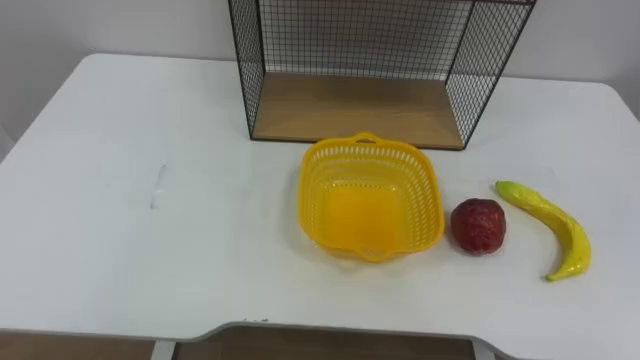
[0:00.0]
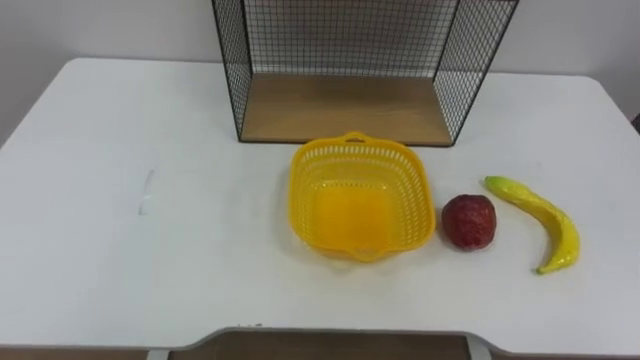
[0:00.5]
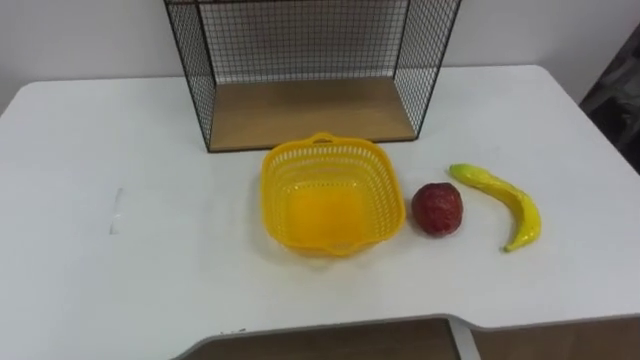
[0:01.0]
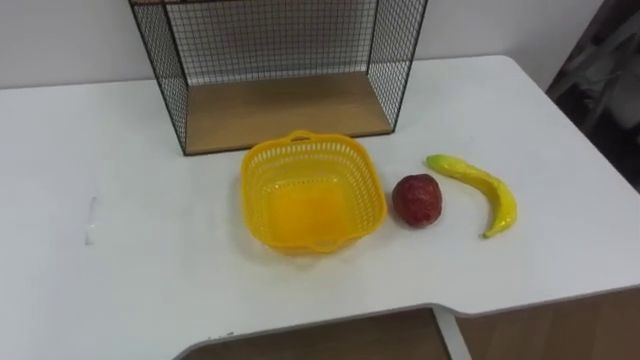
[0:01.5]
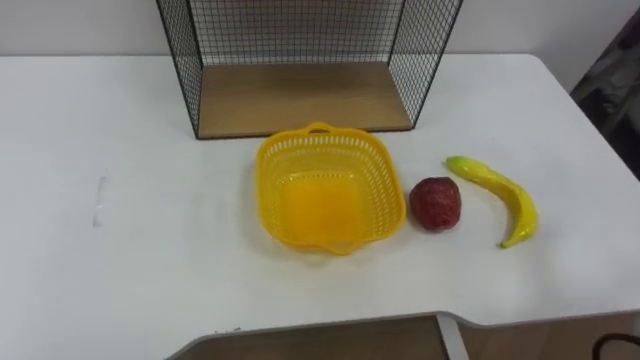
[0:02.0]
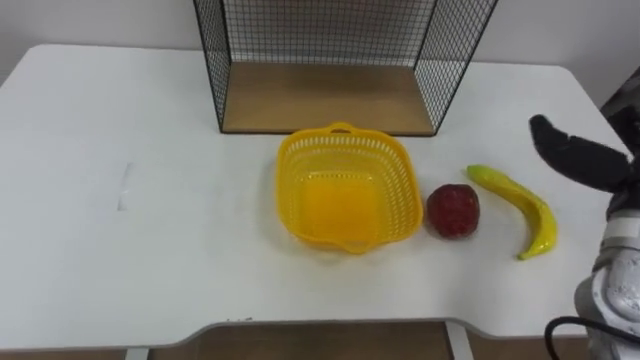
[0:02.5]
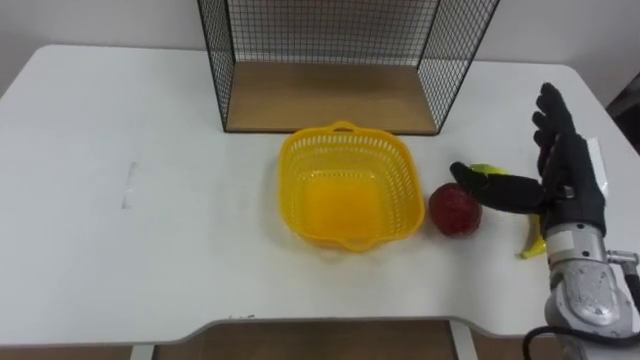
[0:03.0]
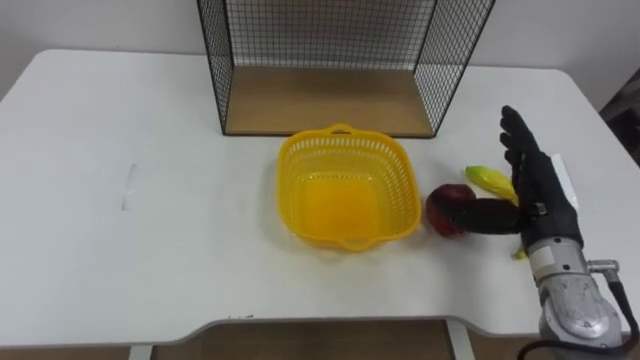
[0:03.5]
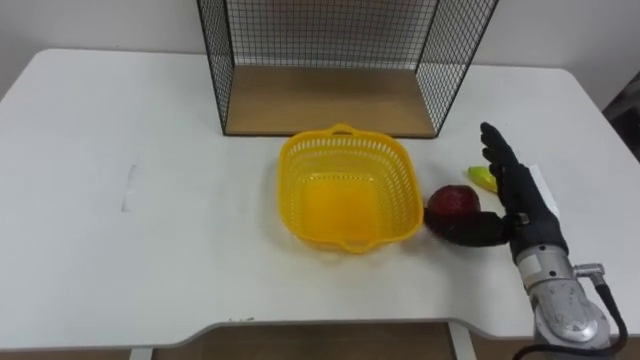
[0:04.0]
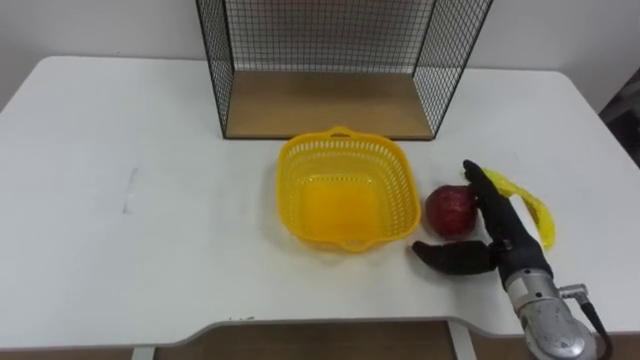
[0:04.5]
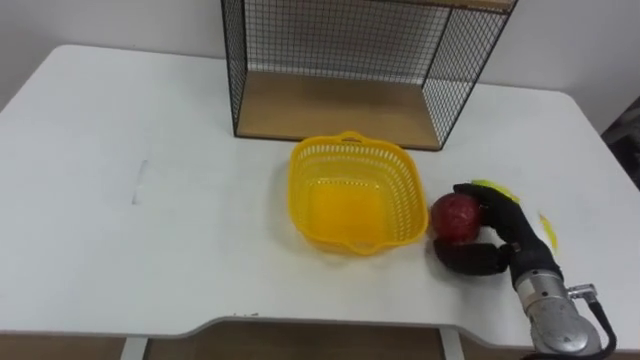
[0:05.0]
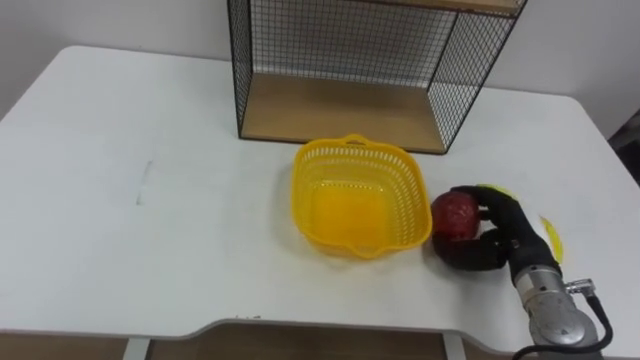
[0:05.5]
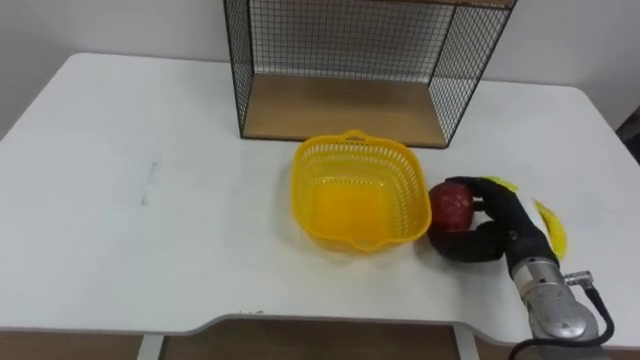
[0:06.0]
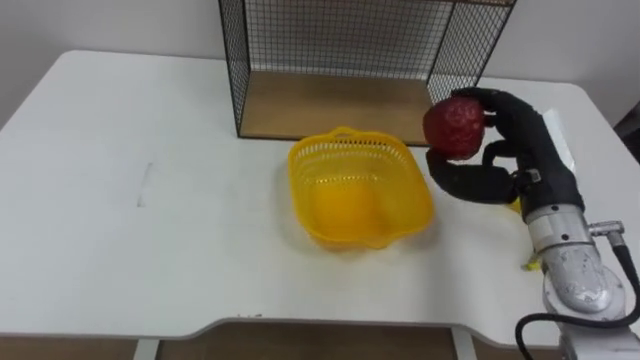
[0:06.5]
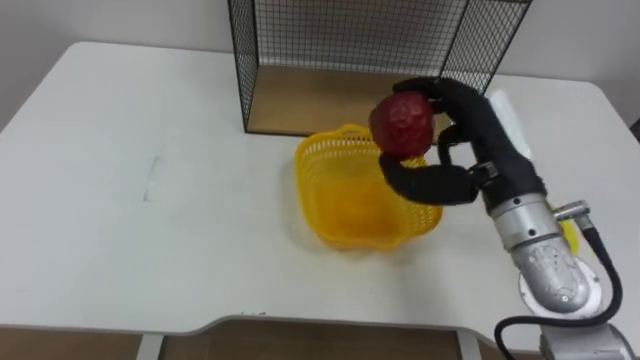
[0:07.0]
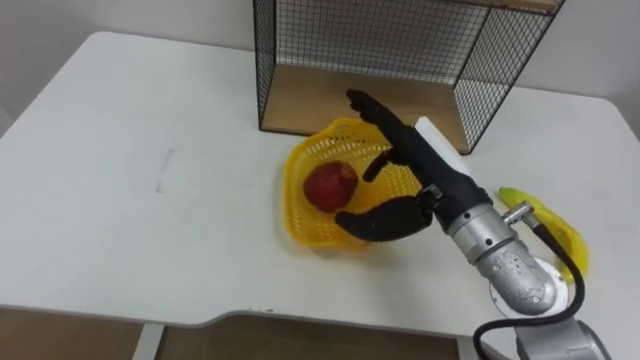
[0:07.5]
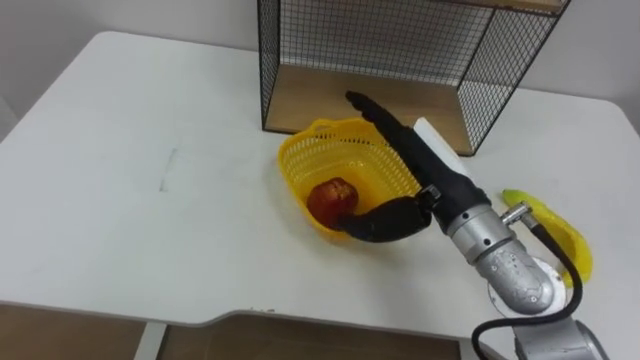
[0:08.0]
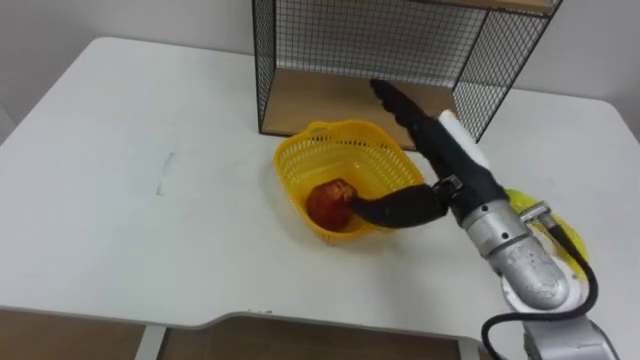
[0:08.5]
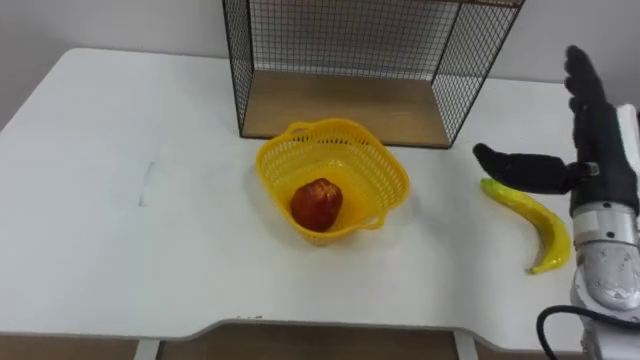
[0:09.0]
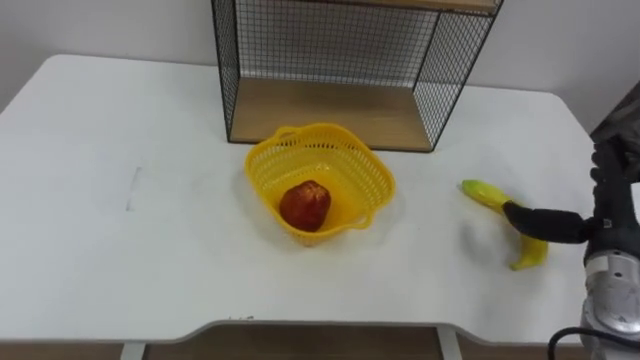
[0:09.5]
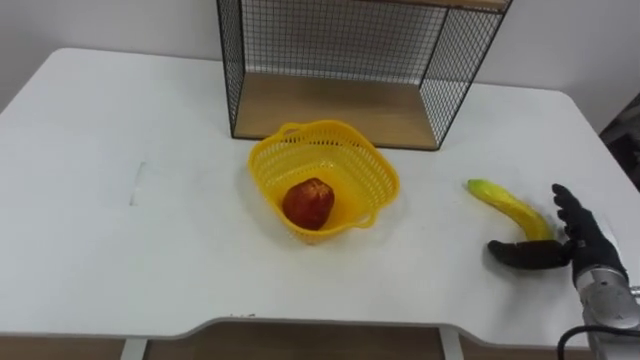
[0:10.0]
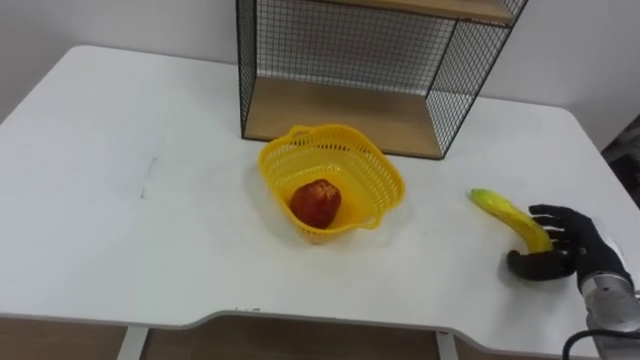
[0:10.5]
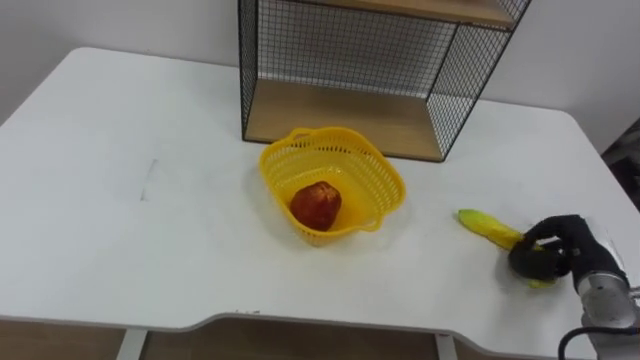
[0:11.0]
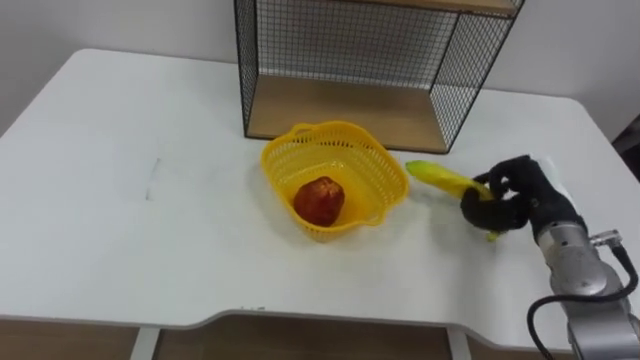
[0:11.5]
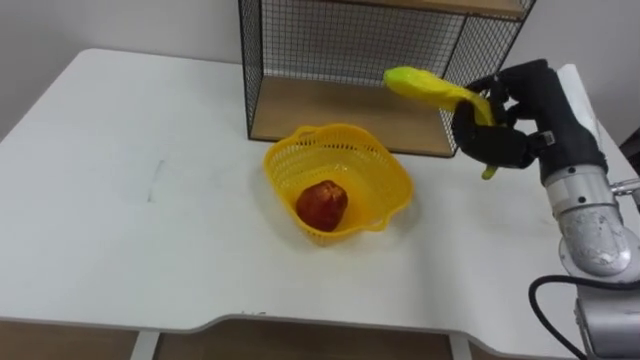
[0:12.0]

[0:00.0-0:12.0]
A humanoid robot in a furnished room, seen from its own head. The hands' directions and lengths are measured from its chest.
Task of the whole recording: Put the fruit on the table into the basket, then place the basket on the shelf.
0:04.0 to 0:06.0: The right hand travels downward by approximately 5 cm, and closes up.
0:06.0 to 0:08.0: The right hand travels to the left and upward by about 20 cm, and opens its fingers.
0:08.0 to 0:10.0: The right hand goes roughly 25 cm to the right and downward.
0:10.0 to 0:12.0: The right hand moves upward and to the left, roughly 20 cm, and closes up.

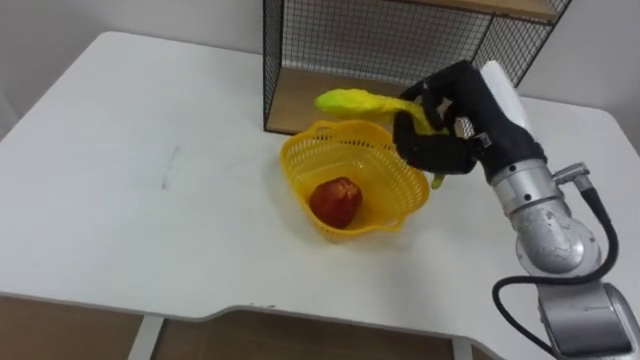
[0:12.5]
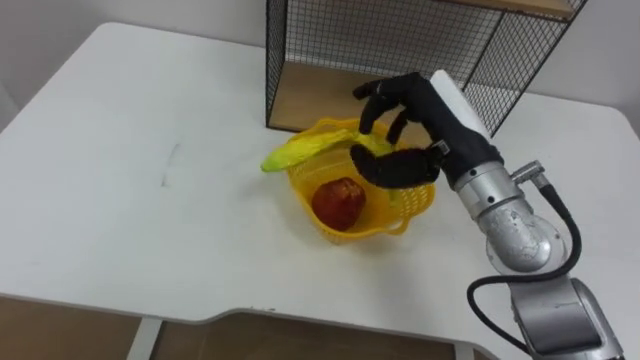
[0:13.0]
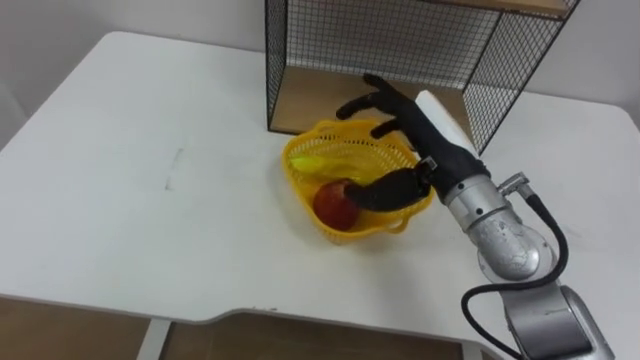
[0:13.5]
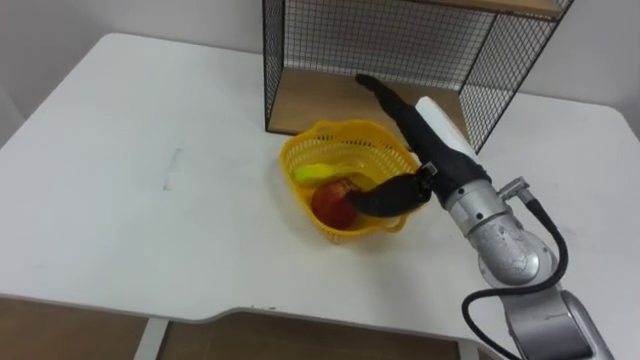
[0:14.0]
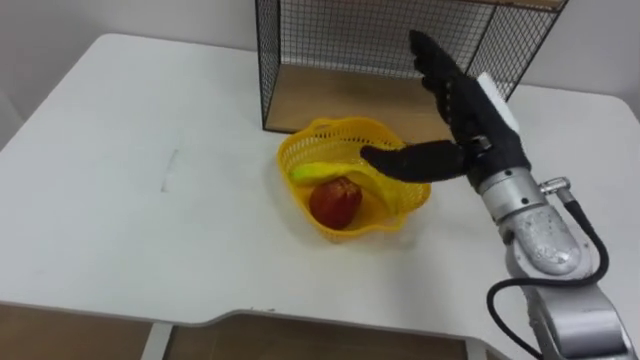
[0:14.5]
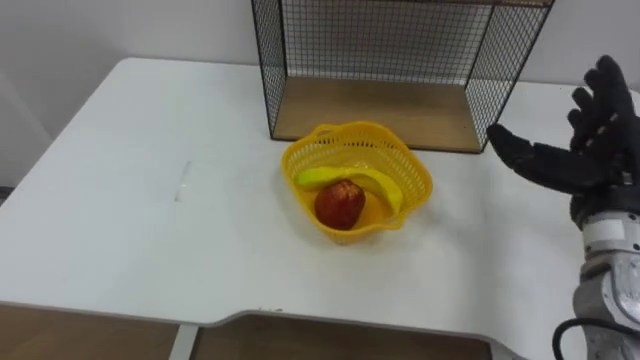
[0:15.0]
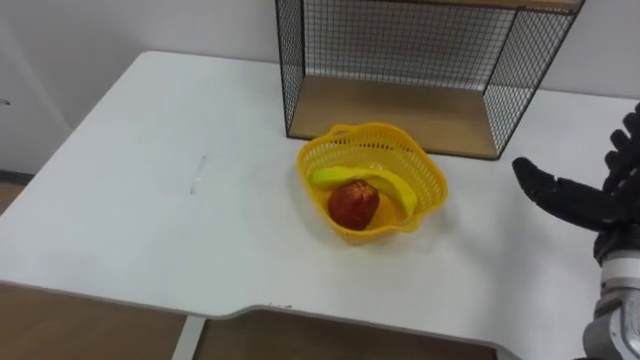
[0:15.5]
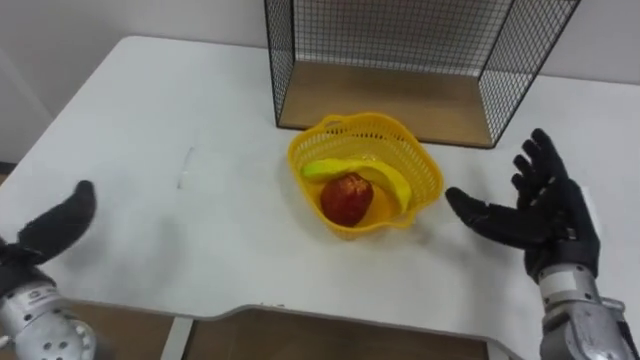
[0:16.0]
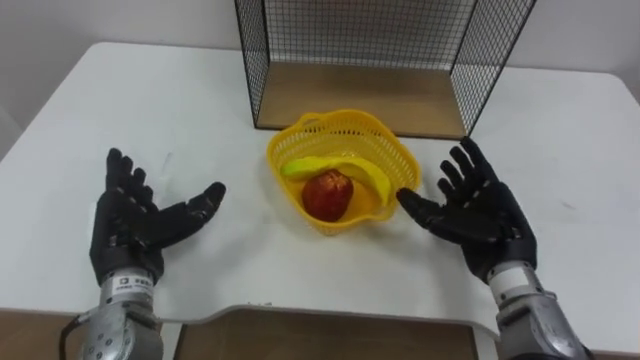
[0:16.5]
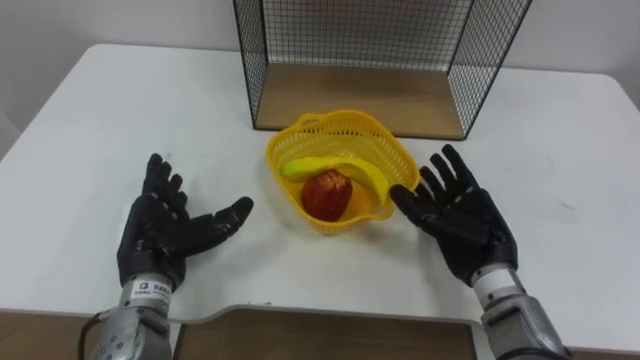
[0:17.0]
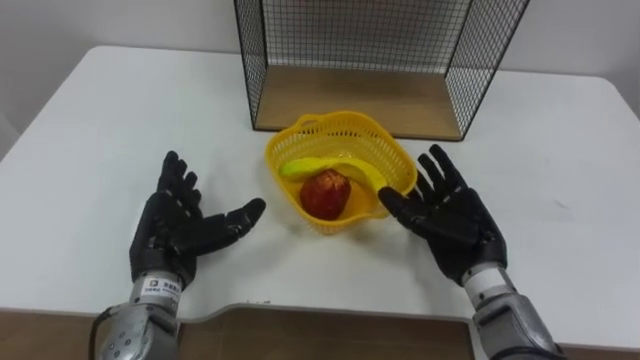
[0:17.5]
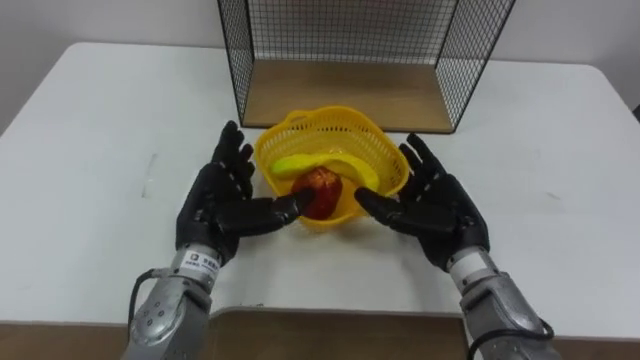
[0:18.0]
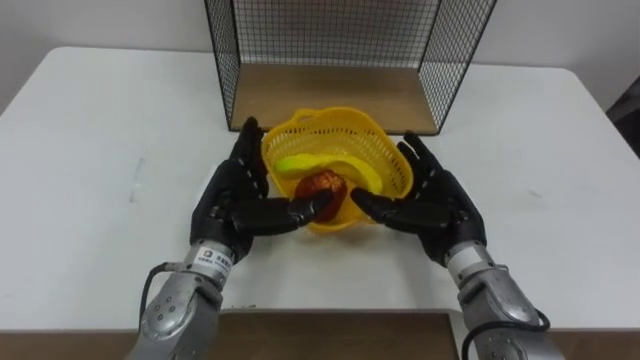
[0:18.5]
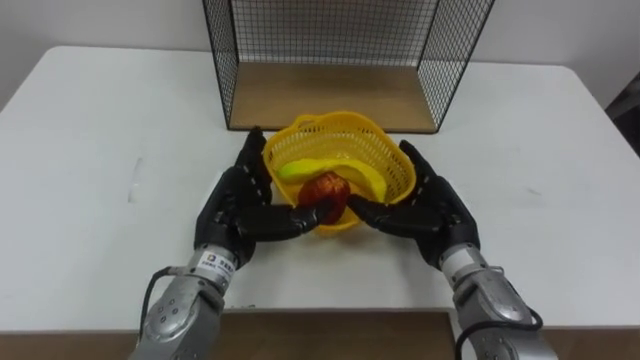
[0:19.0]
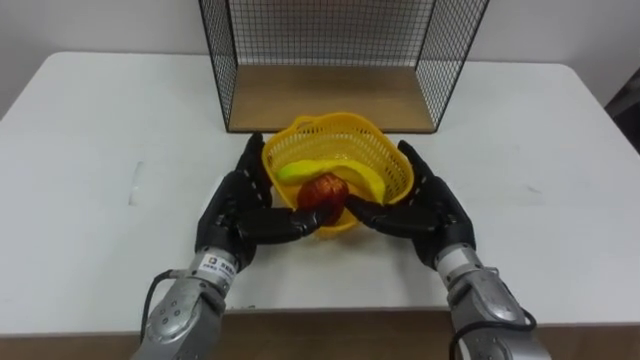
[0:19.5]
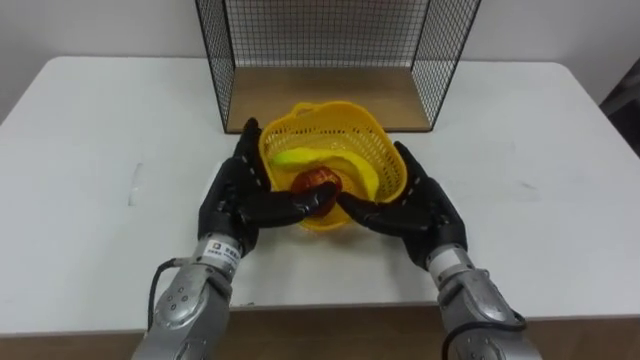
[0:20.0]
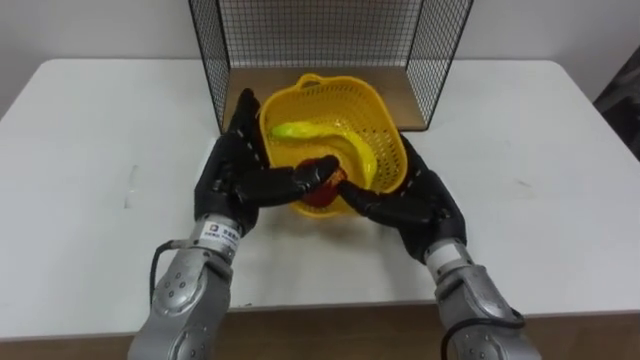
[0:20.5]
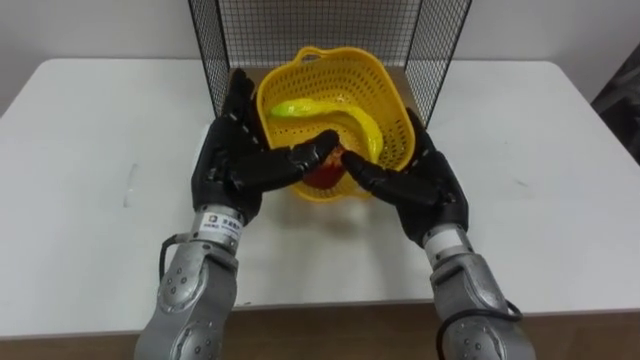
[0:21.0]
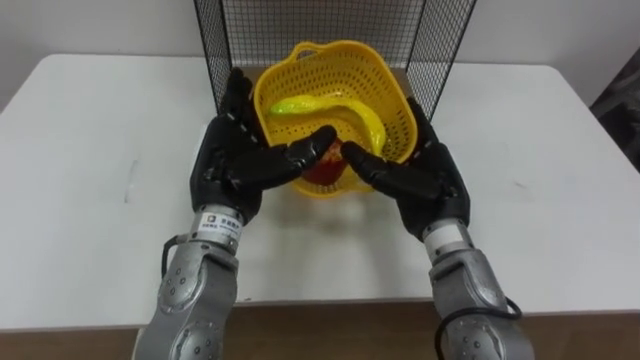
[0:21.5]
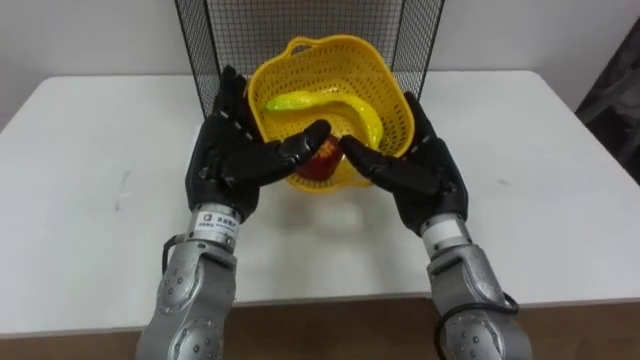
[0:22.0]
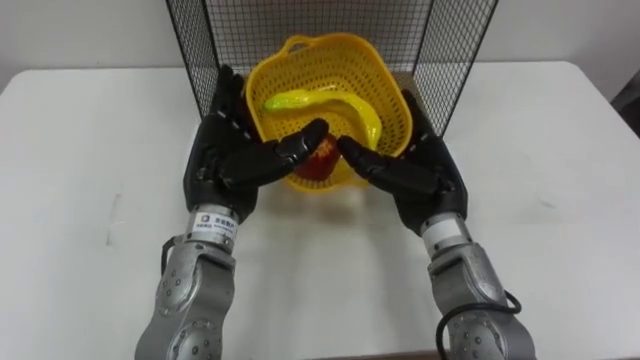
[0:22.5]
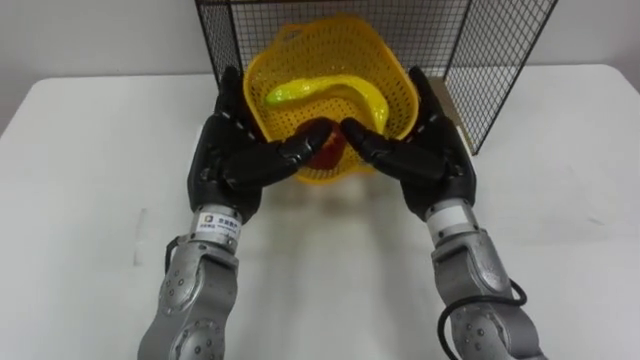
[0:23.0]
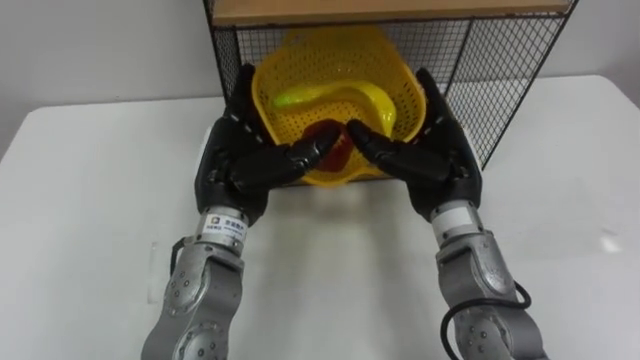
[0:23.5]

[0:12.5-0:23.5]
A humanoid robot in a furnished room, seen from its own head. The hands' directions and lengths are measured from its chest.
Task of the whole recording: Put the fruit on the table into the basket, then place the basket on the shelf.
0:12.5 to 0:14.5: The right hand opens its fingers.
0:16.0 to 0:18.0: The right hand heads to the left, covering some 10 cm.
0:20.0 to 0:21.5: Both hands move upward, approximately 5 cm.
